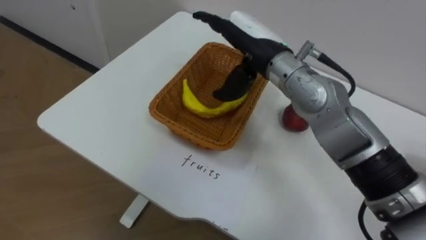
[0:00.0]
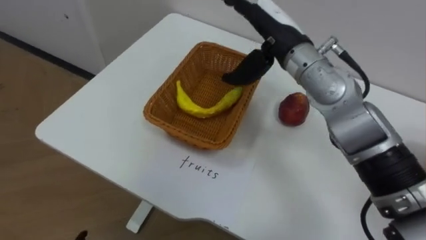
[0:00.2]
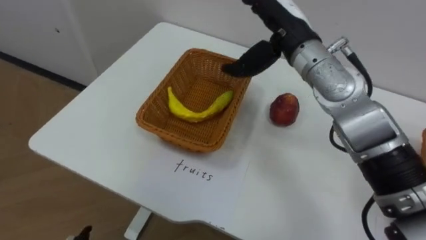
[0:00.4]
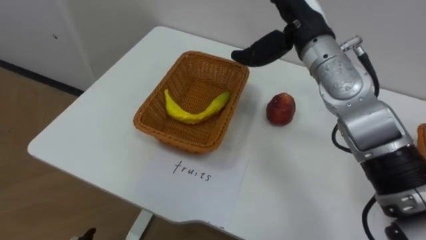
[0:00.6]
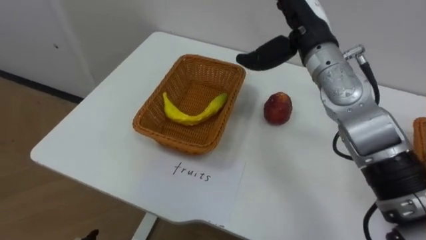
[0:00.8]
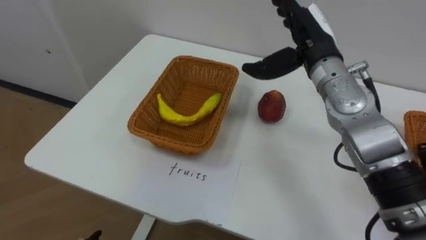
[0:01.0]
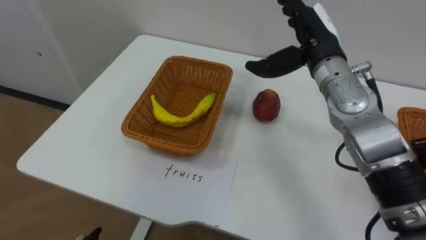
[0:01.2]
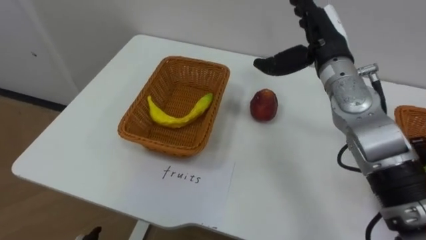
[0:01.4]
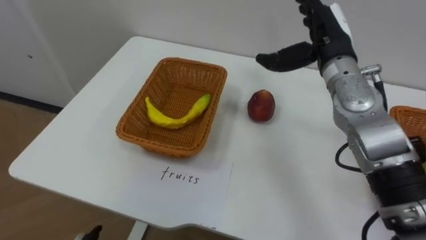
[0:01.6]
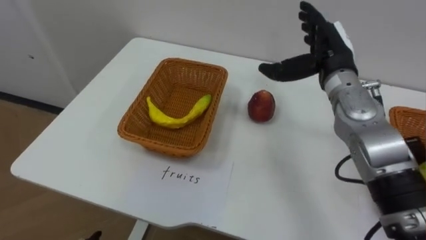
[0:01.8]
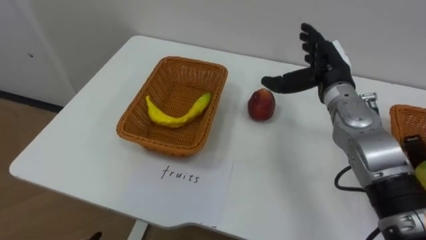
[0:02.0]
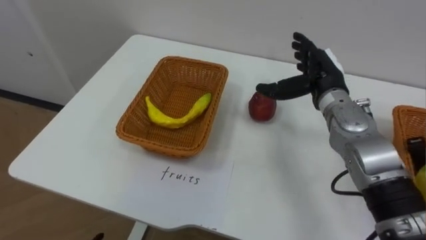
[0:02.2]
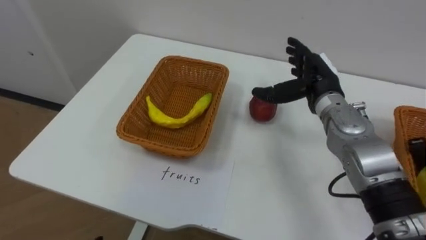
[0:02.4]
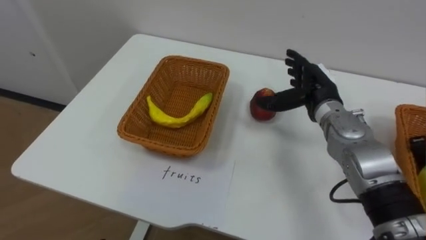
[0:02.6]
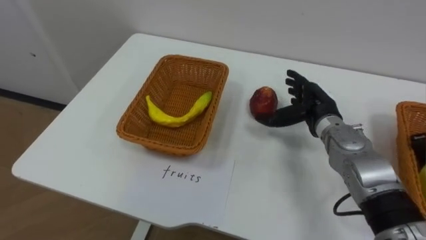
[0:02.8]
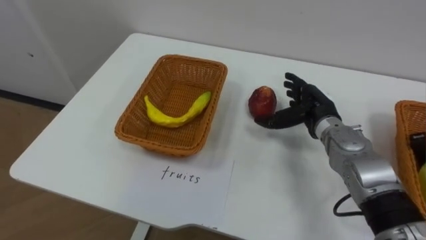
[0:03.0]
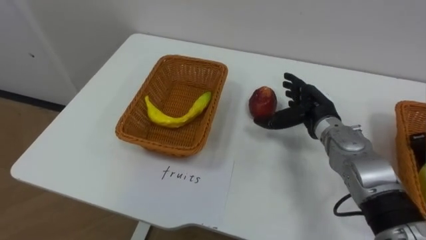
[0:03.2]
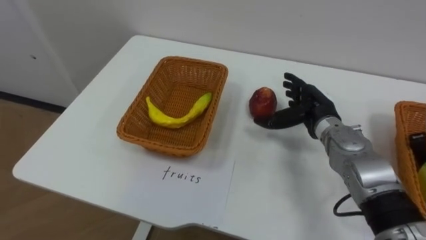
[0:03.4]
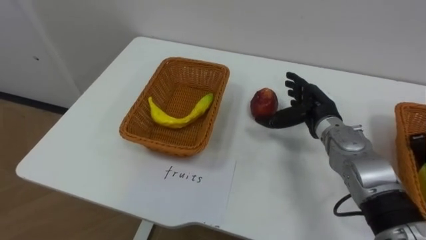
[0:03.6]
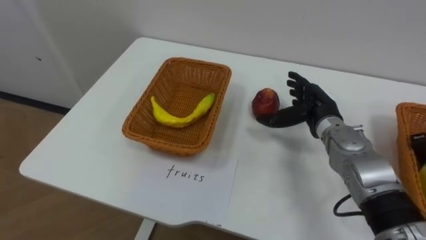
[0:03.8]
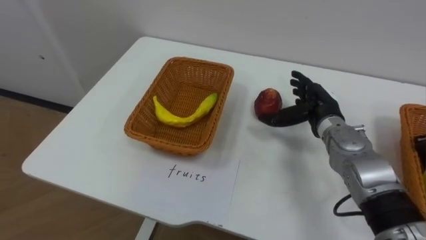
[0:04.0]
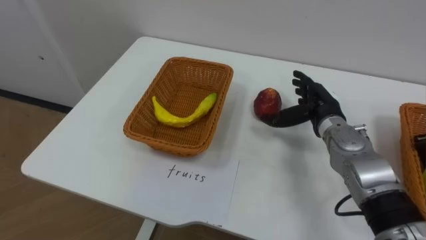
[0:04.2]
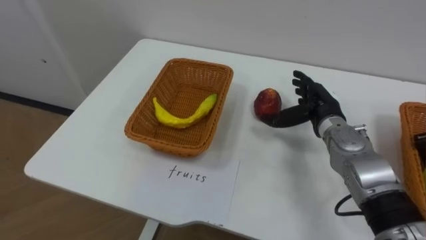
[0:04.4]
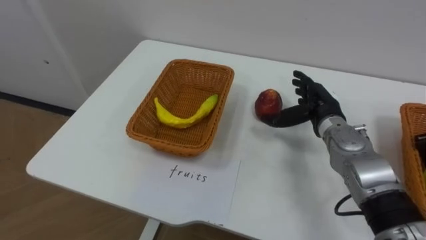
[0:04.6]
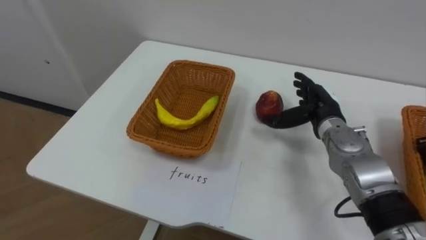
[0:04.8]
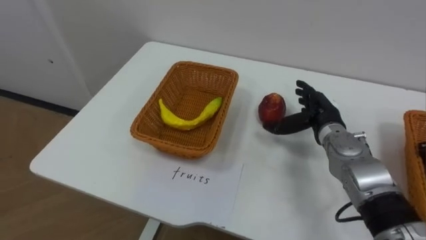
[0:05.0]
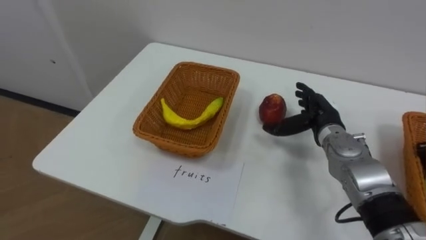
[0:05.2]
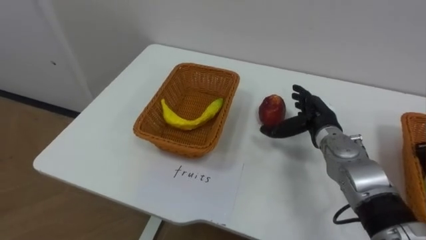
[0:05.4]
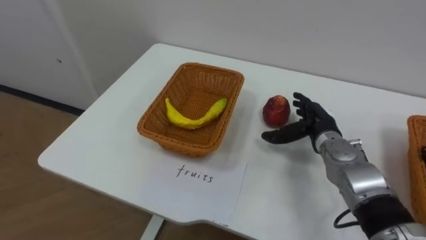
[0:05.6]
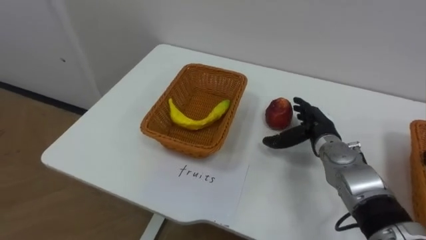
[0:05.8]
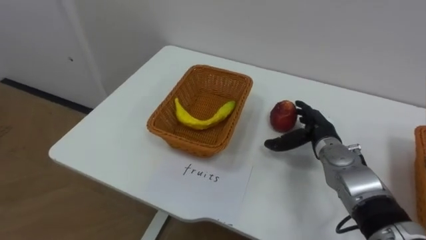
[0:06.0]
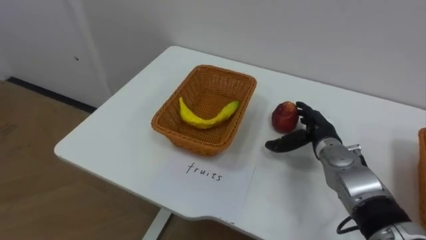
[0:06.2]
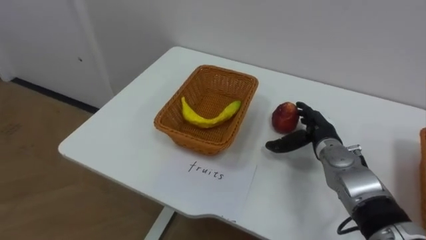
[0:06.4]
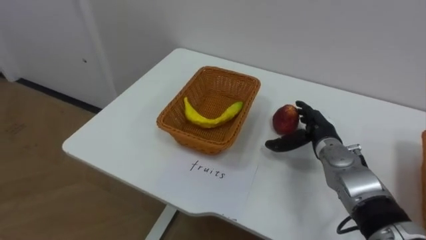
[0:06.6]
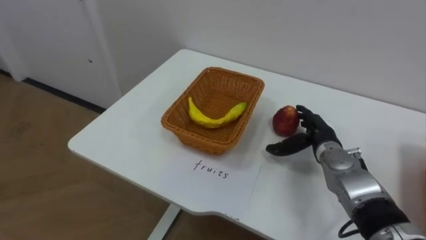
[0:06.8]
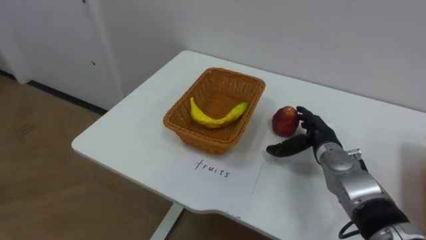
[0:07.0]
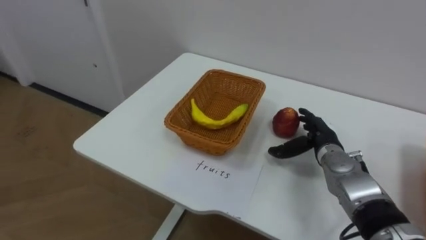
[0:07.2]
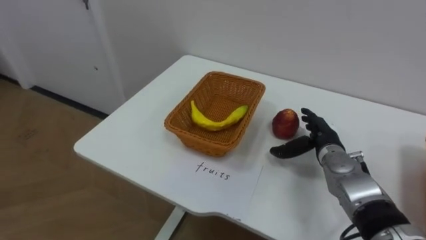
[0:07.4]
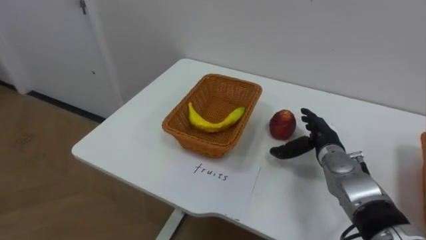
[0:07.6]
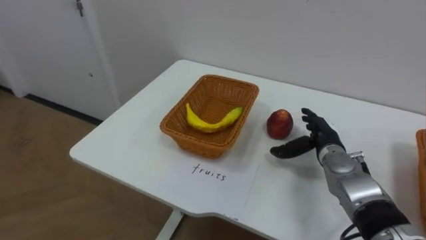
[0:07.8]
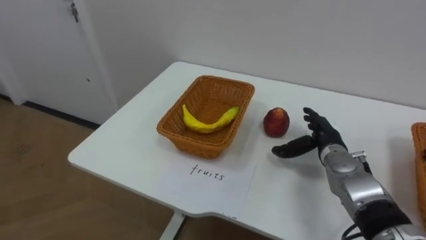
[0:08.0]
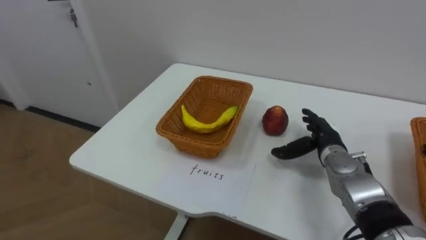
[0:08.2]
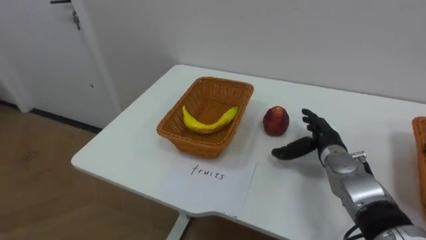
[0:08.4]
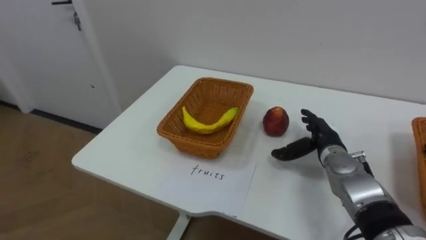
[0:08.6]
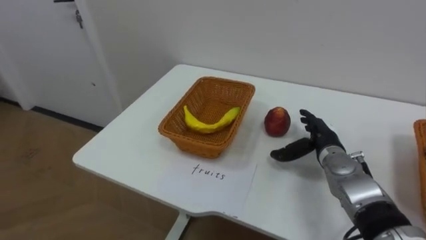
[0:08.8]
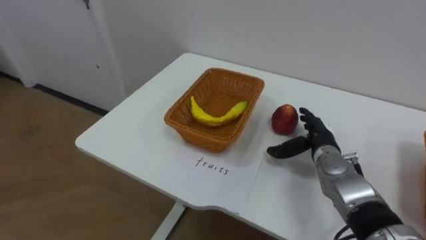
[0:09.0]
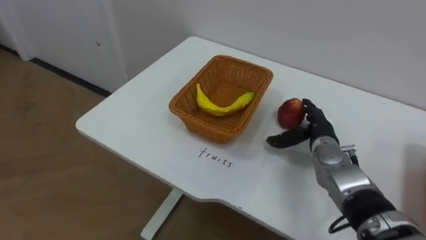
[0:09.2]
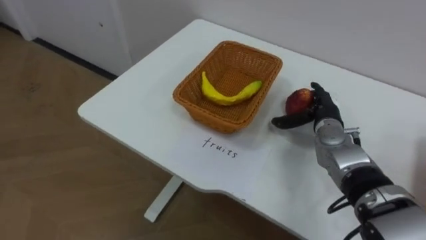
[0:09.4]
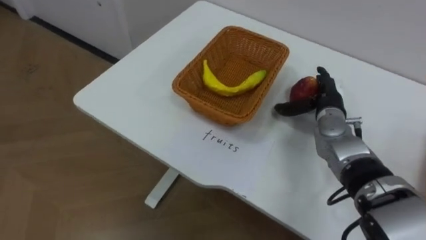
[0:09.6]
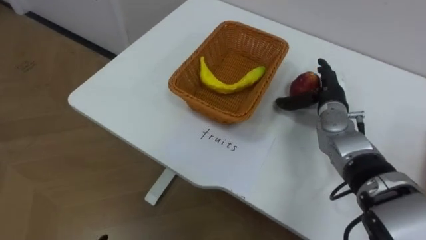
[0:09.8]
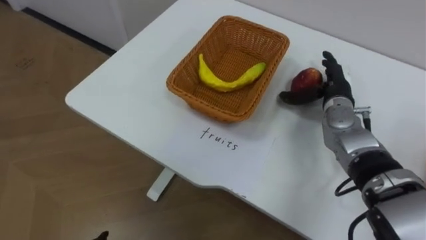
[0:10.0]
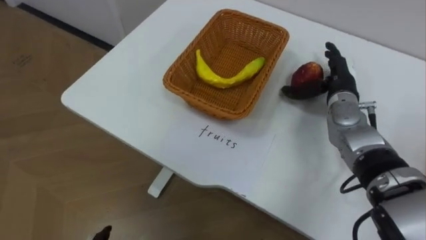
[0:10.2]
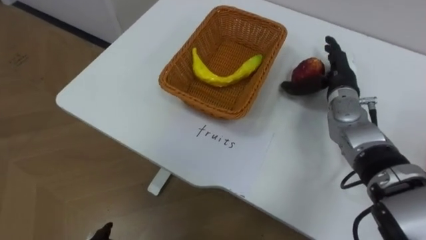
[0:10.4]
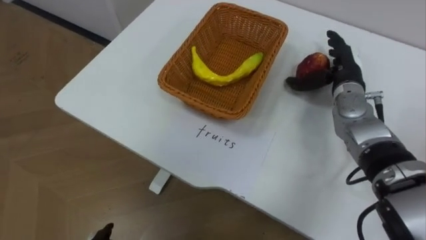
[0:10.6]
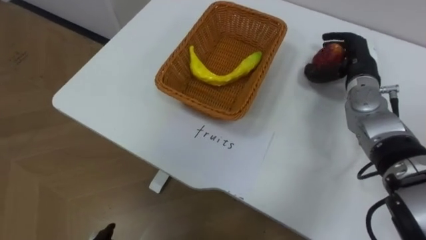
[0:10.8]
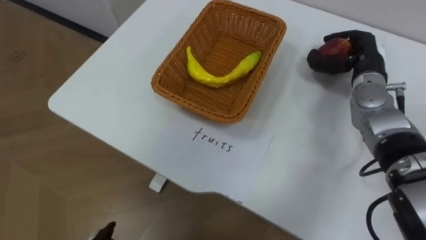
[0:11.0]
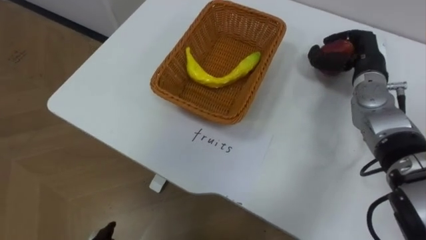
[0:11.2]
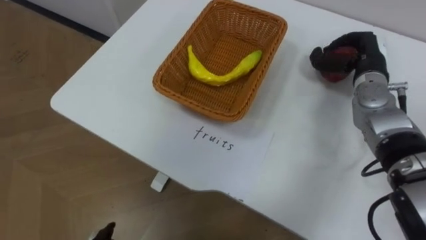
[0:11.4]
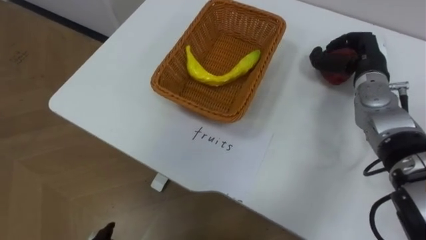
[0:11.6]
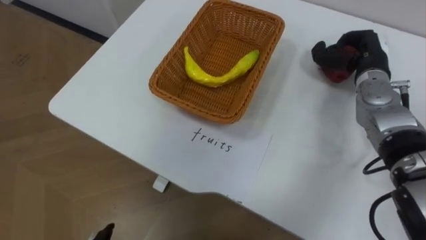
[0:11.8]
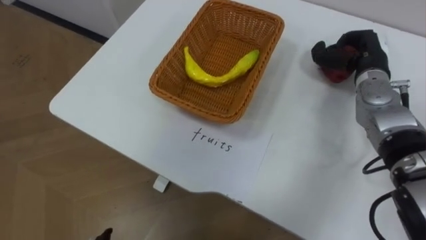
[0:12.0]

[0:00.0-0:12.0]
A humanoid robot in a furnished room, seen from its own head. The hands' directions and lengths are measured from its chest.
Task of the whole recording: Separate the items on the table and place them into the two baskets.
0:00.0 to 0:01.6: The right hand goes some 10 cm to the right.
0:01.6 to 0:03.0: The right hand travels downward by about 15 cm.
0:04.4 to 0:06.0: The right hand travels downward by some 5 cm.
0:09.0 to 0:10.4: The right hand is displaced upward and forward by about 15 cm.
0:10.4 to 0:12.0: The right hand ends up approximately 5 cm from where it was, and closes its fingers.

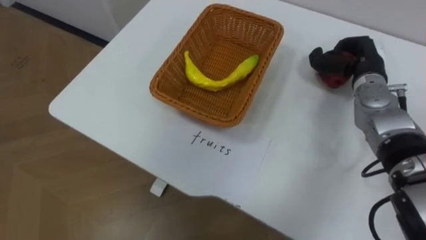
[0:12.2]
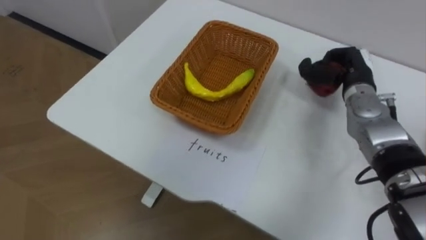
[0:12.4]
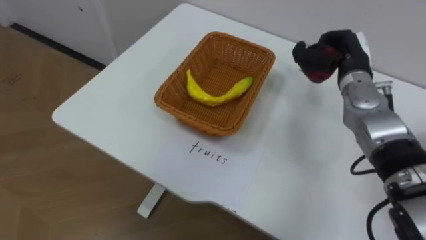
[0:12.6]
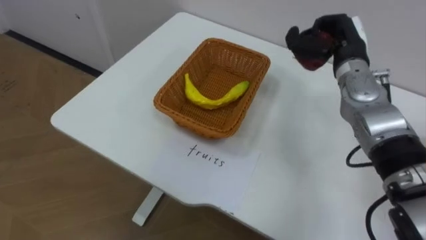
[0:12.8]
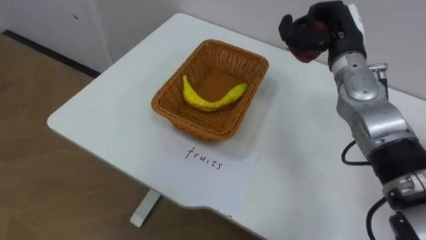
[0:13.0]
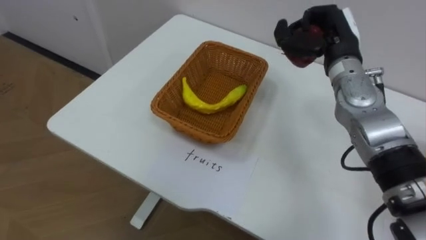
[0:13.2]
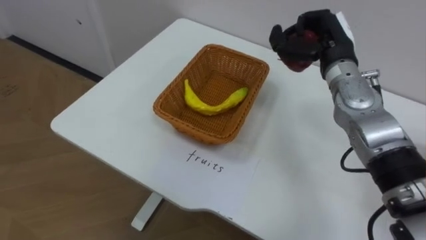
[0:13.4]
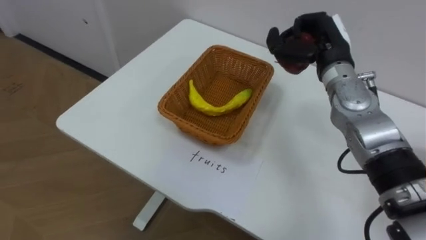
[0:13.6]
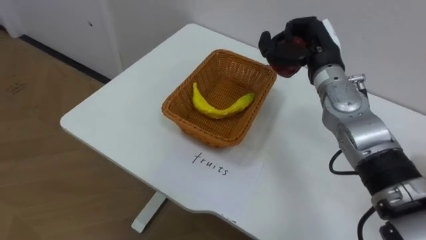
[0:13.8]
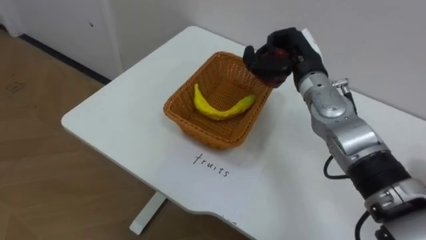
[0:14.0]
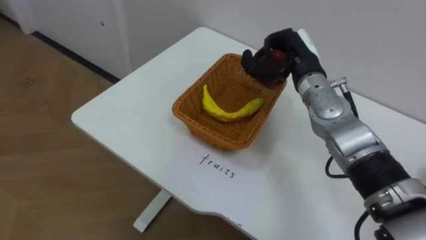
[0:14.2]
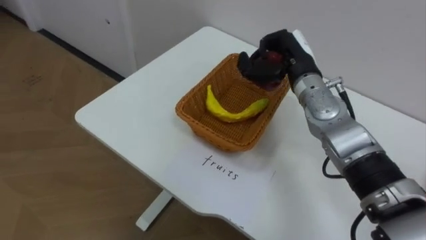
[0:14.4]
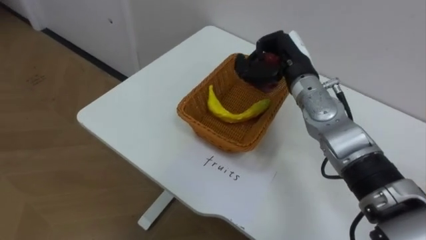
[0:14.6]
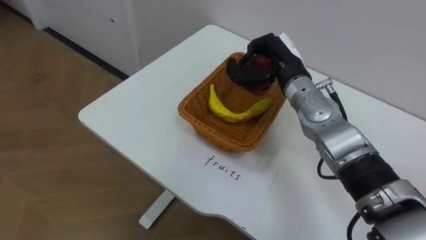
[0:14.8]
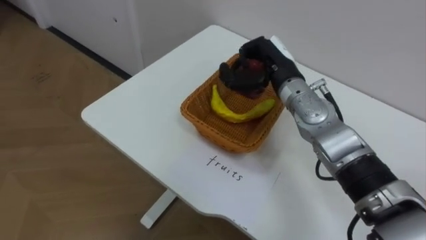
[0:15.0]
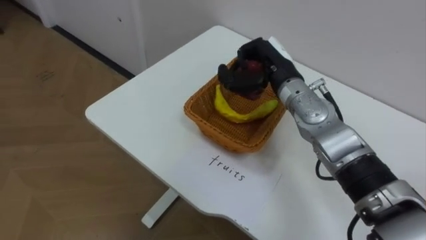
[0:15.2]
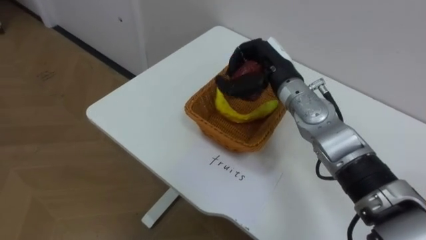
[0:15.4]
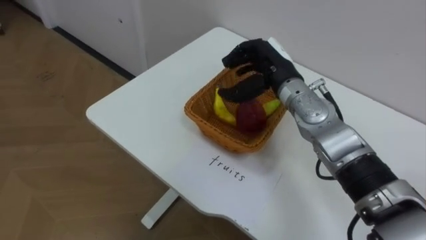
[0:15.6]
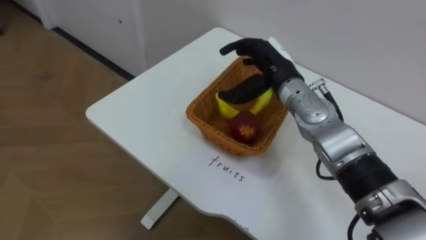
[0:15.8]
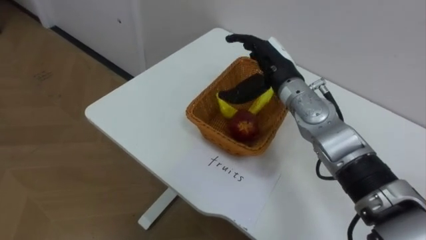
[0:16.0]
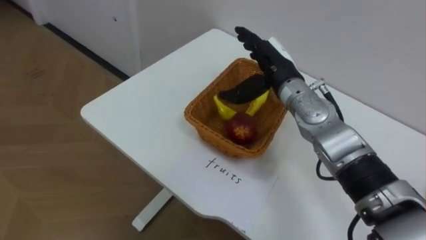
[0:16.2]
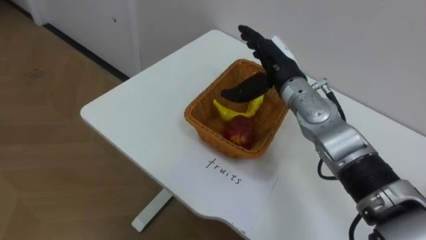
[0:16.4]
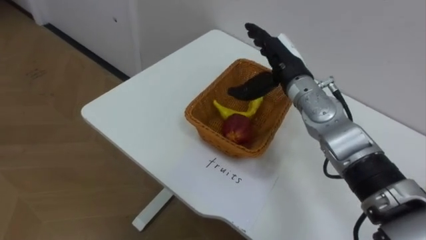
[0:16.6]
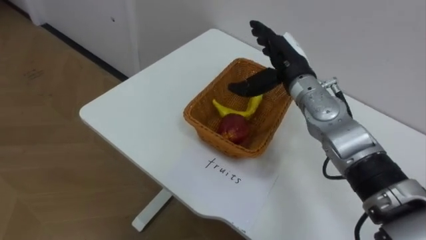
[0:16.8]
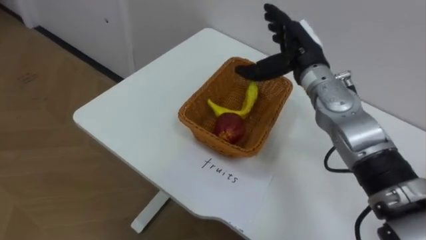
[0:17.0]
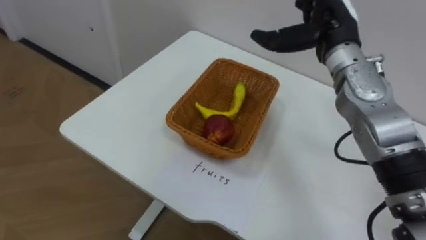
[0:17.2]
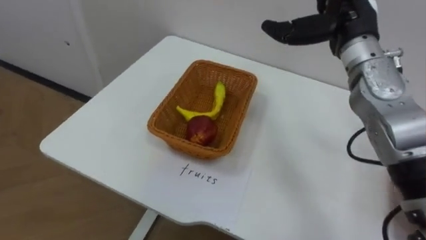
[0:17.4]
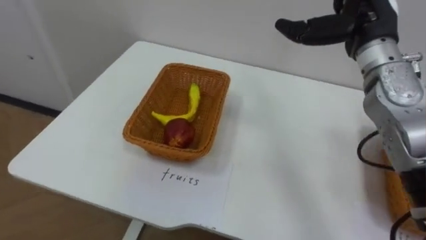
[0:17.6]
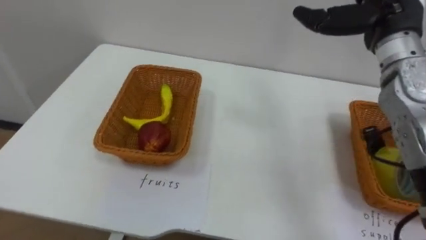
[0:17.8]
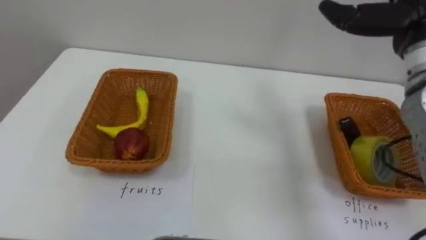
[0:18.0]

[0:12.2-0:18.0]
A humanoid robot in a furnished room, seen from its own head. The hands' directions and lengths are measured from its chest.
Task of the whole recording: Separate the items on the table and place them into the two baskets.
0:12.2 to 0:13.6: The right hand is displaced to the left by some 10 cm.
0:13.6 to 0:15.0: The right hand shifts about 10 cm to the left.
0:15.0 to 0:16.6: The right hand opens up.
0:16.6 to 0:18.0: The right hand goes approximately 20 cm to the right and upward.
